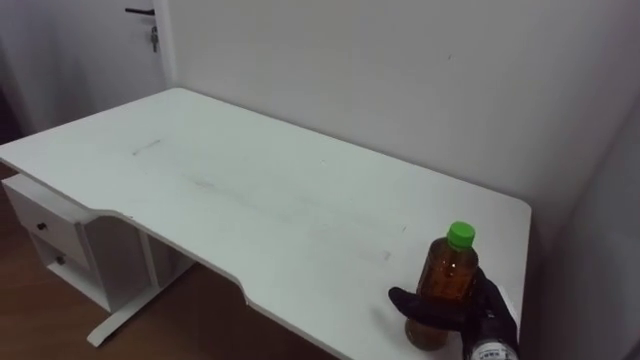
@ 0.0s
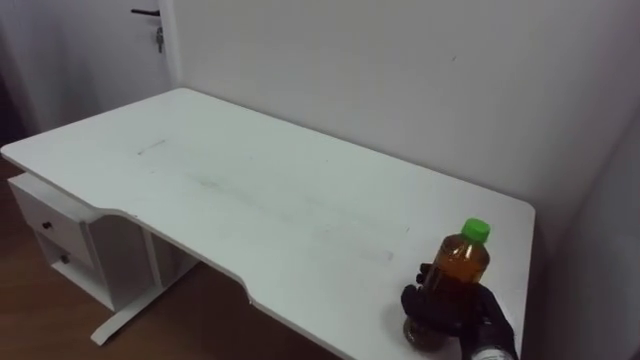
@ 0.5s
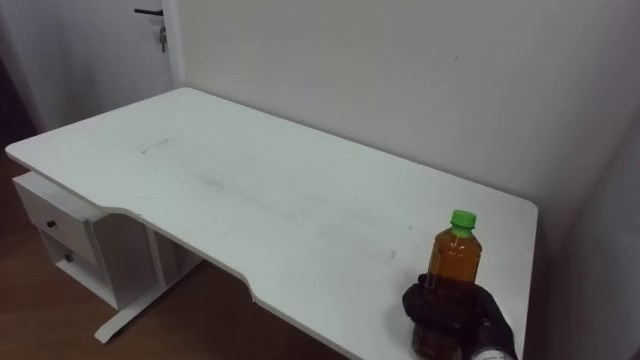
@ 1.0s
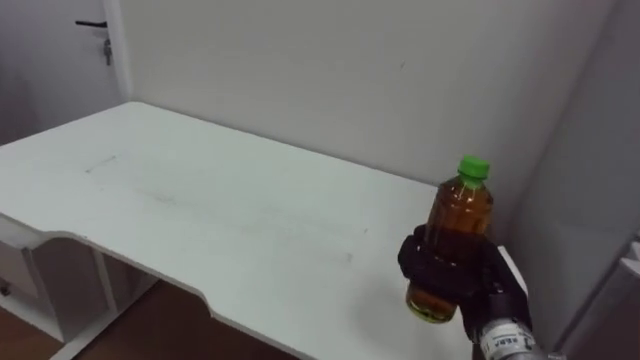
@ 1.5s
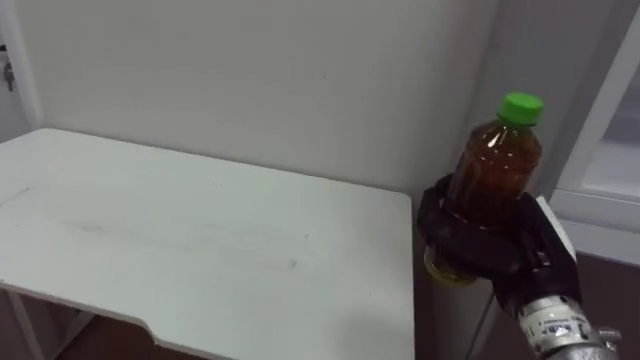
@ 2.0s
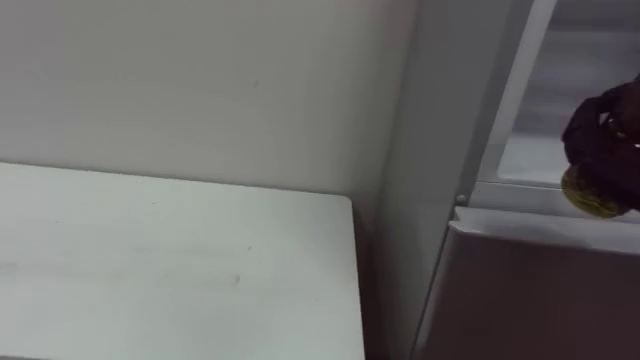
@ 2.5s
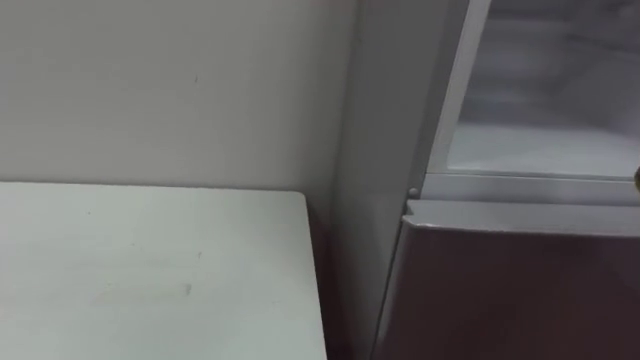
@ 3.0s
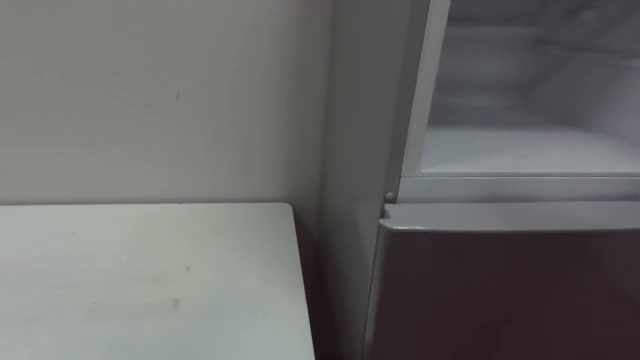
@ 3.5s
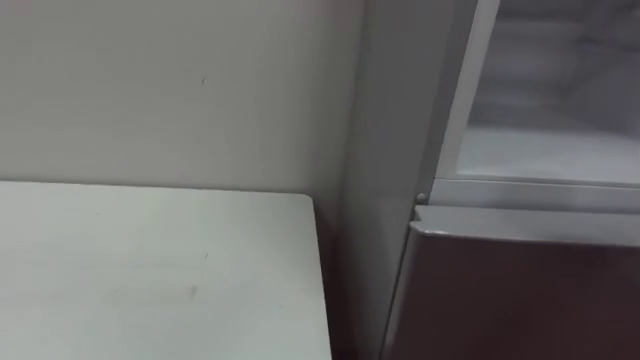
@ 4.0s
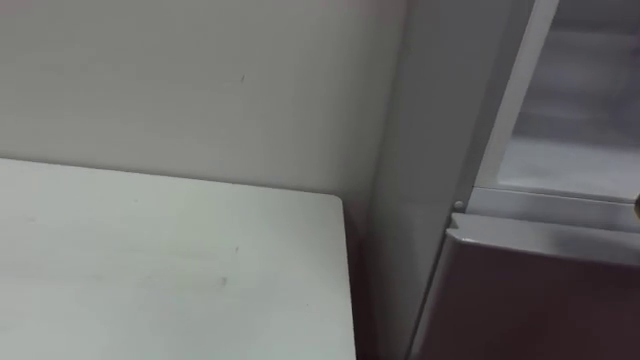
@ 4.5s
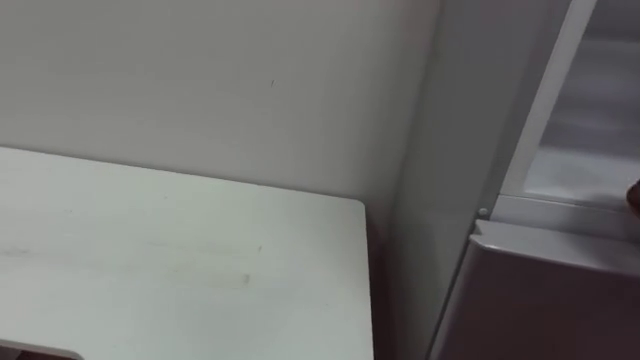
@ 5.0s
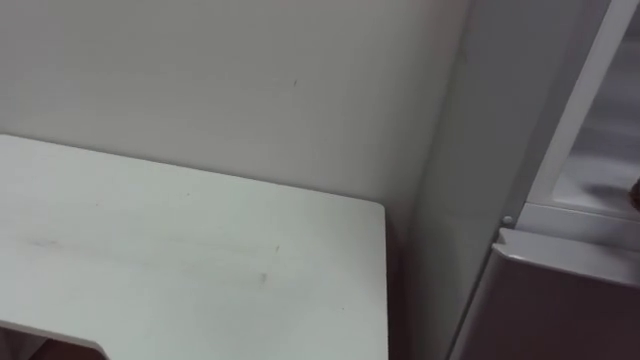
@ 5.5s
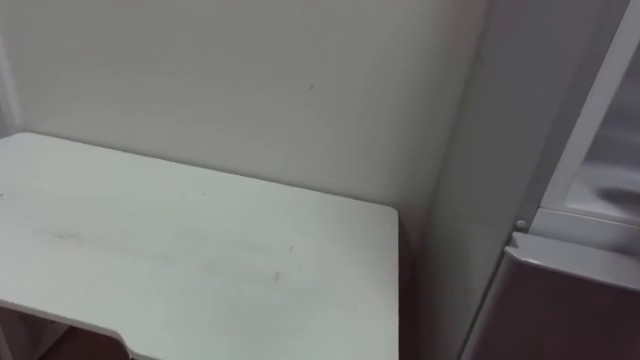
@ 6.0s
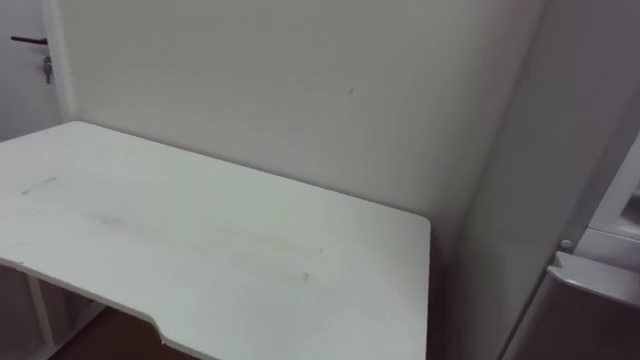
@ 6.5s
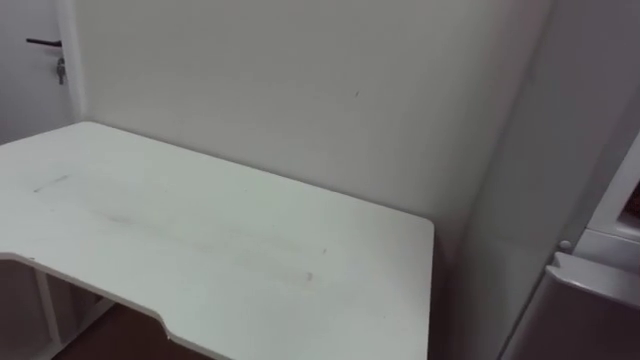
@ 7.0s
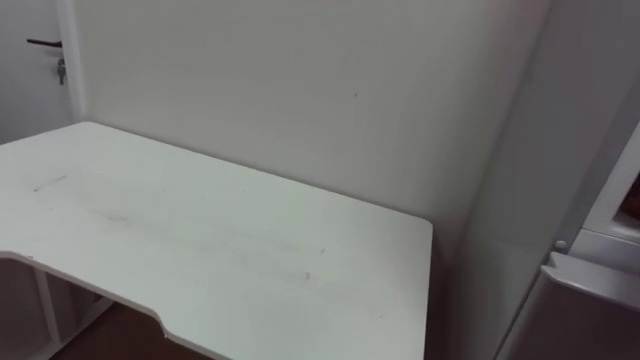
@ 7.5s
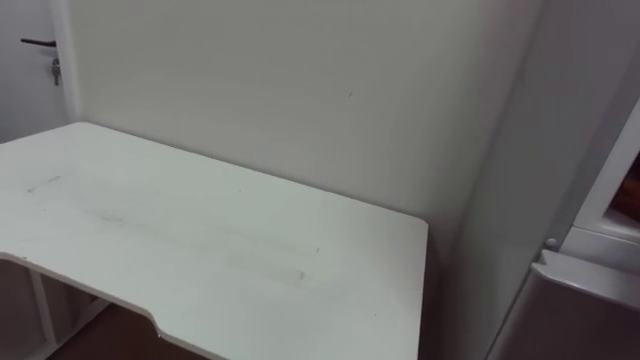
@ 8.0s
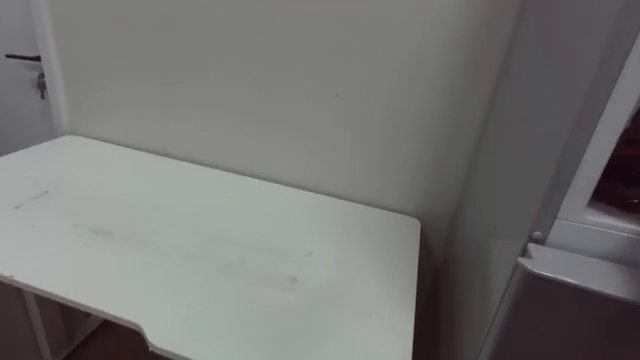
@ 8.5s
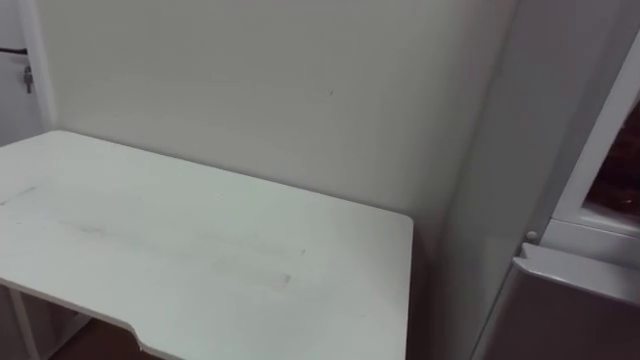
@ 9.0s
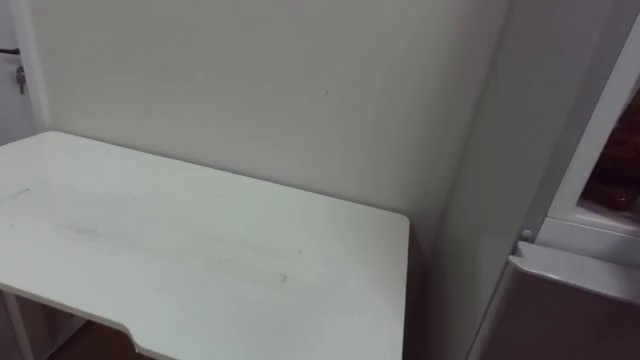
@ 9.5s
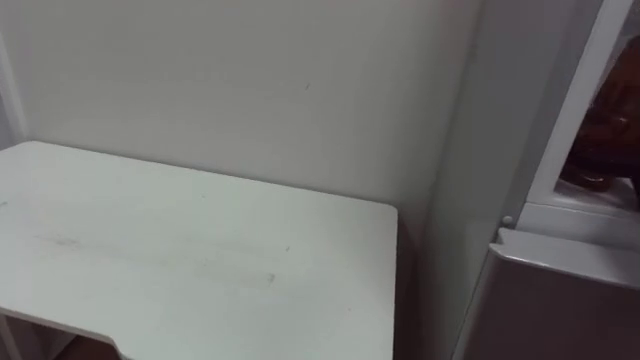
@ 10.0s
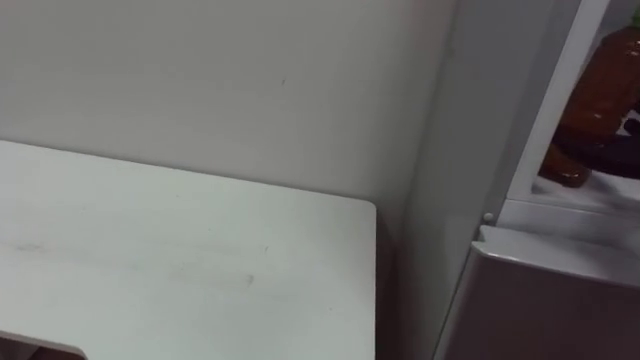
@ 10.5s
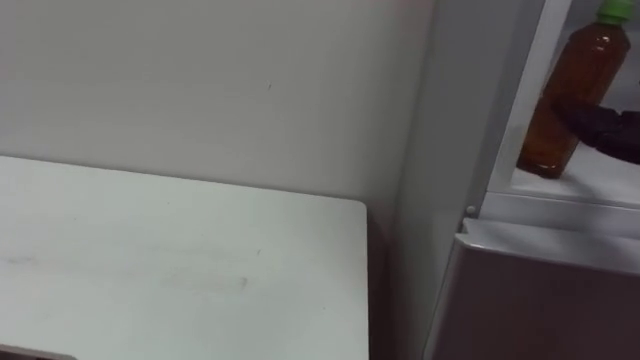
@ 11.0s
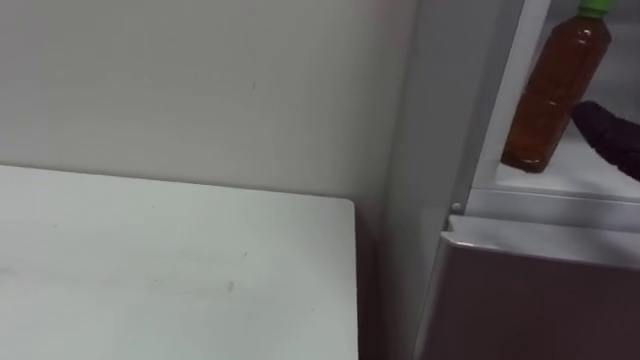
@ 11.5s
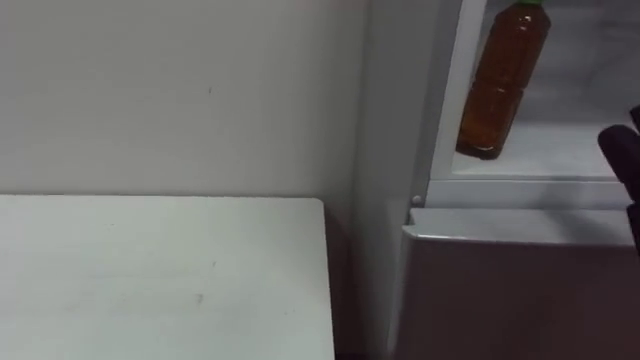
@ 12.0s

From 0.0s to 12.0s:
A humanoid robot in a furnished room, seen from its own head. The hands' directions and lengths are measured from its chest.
Task of the whole recording: Open the upper refrigerator door, put the drink from the table into the refrigerator, and then close the refrigerator door.
From 0.0s to 2.0s: The right hand goes roughly 15 cm upward, and closes up.

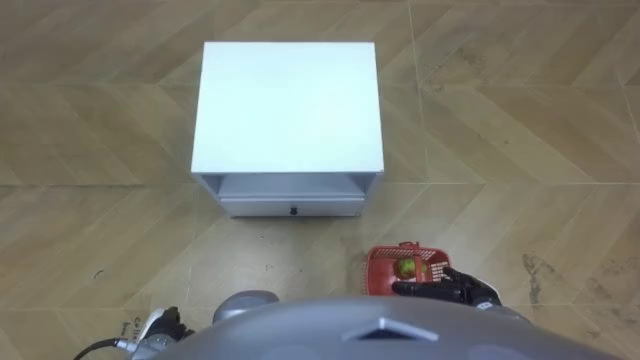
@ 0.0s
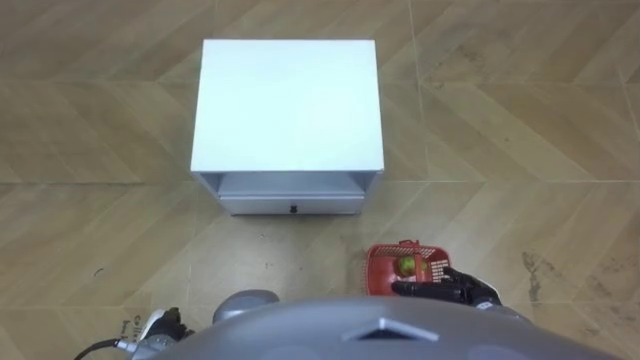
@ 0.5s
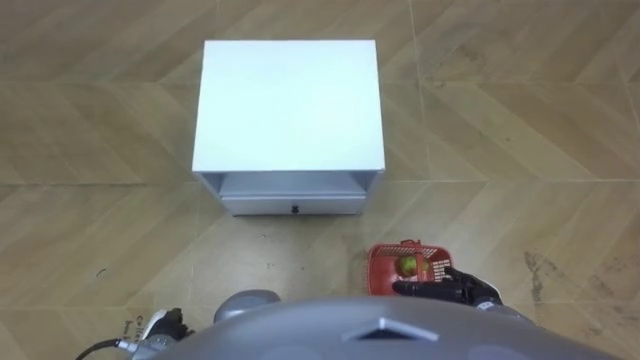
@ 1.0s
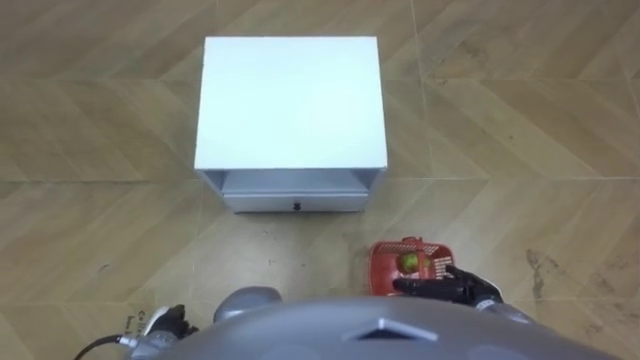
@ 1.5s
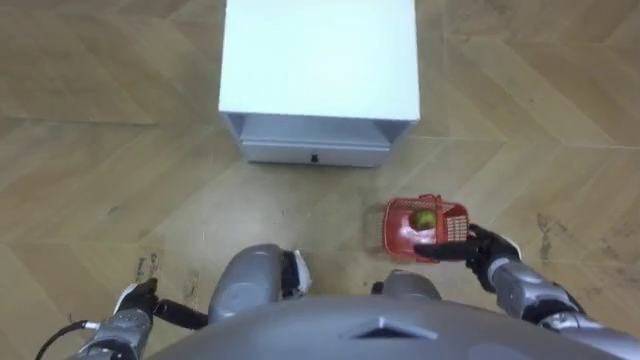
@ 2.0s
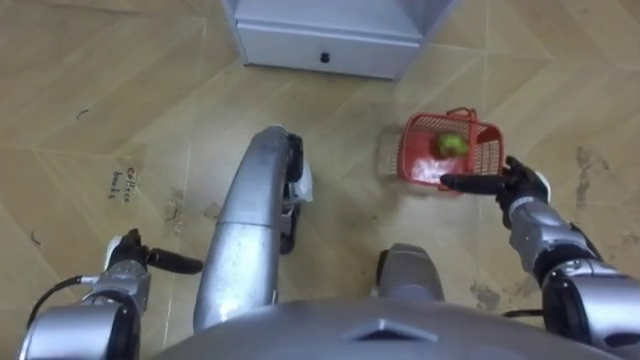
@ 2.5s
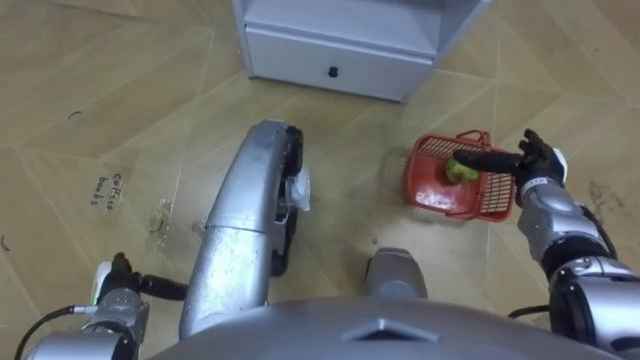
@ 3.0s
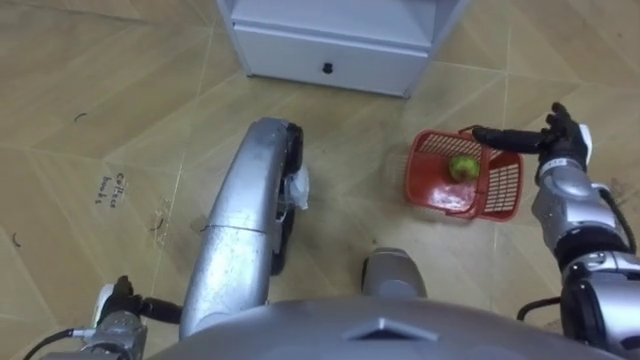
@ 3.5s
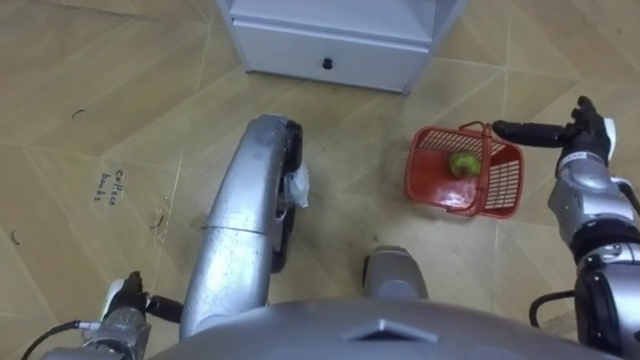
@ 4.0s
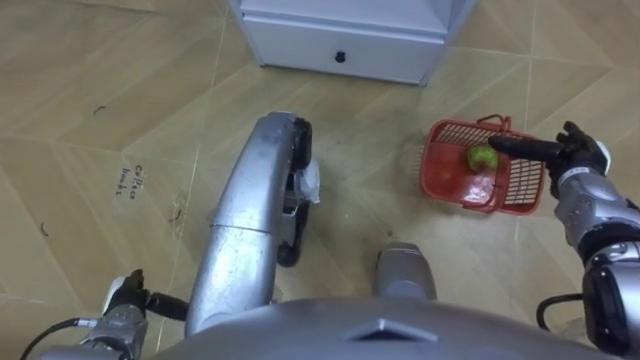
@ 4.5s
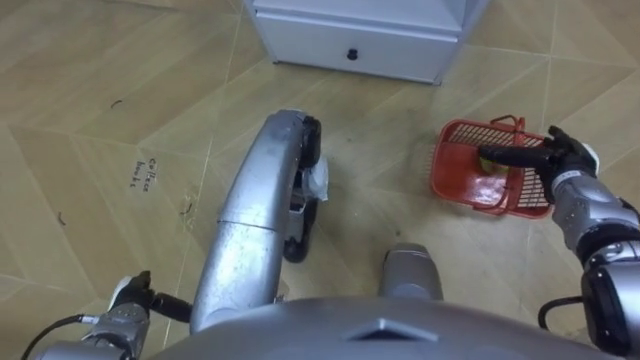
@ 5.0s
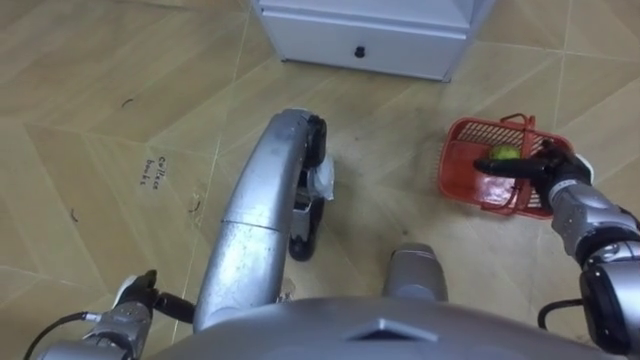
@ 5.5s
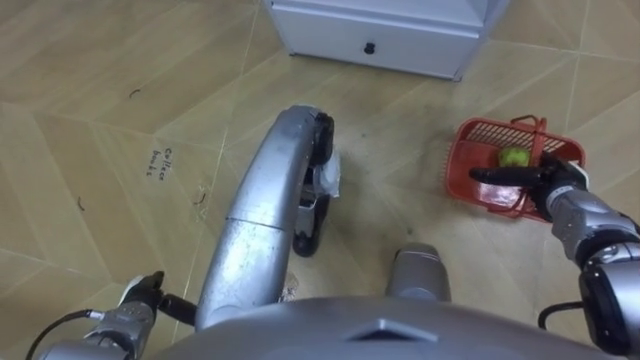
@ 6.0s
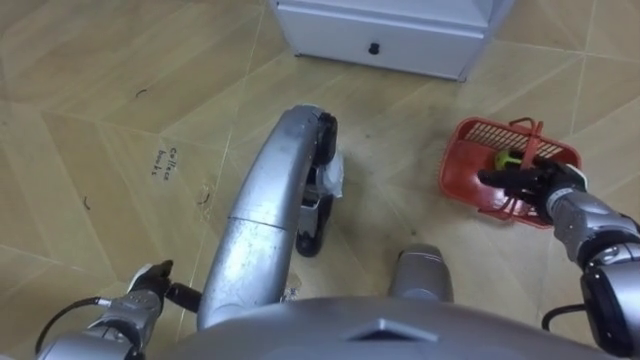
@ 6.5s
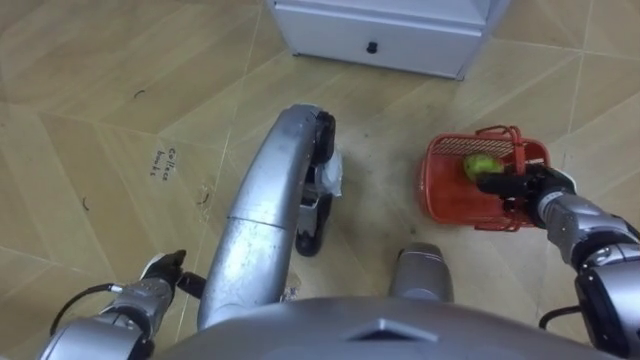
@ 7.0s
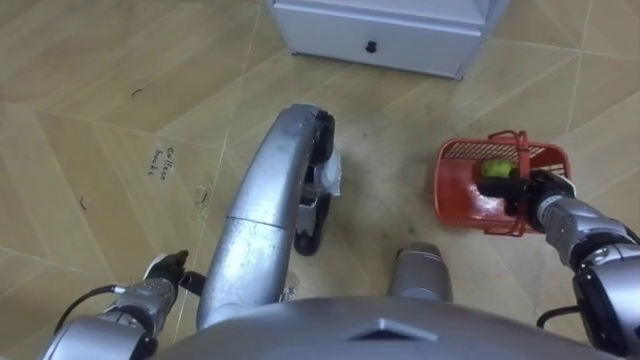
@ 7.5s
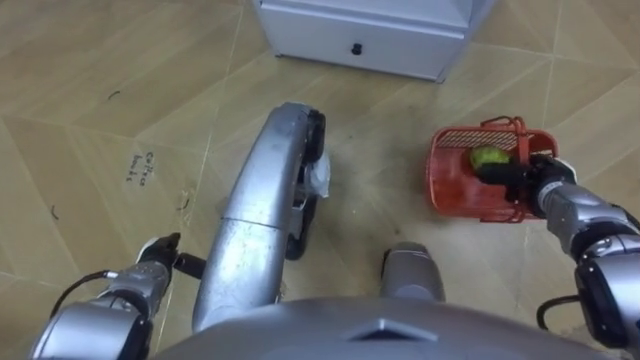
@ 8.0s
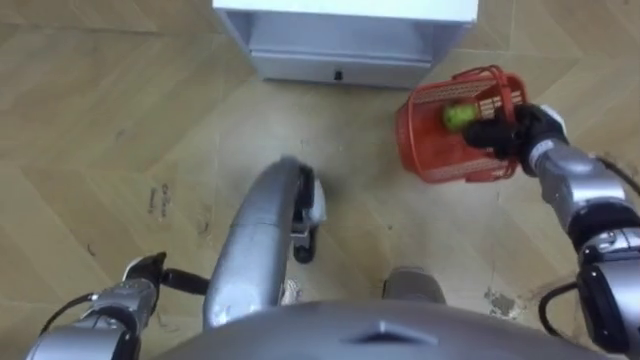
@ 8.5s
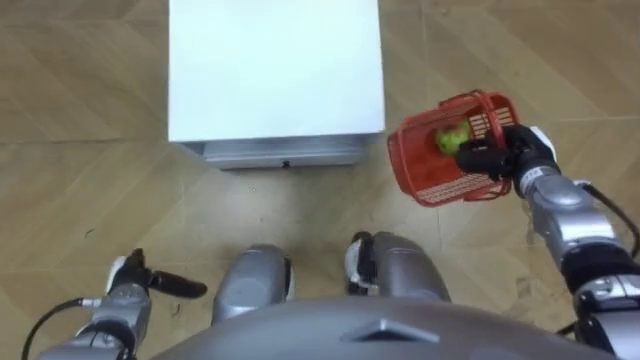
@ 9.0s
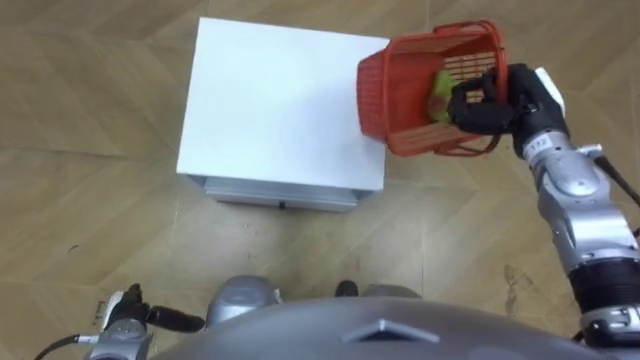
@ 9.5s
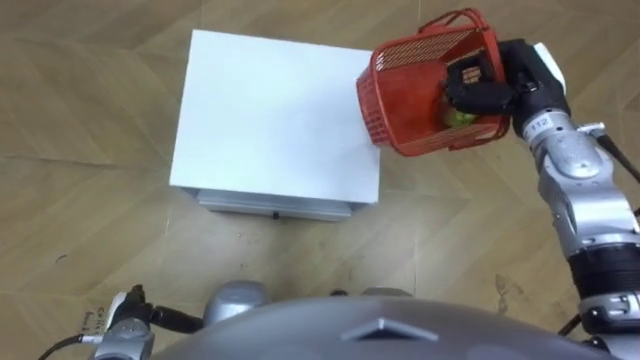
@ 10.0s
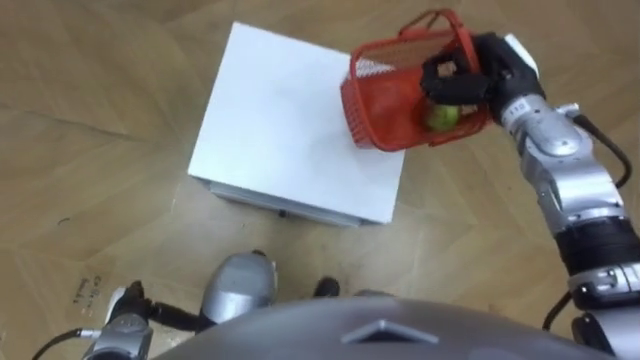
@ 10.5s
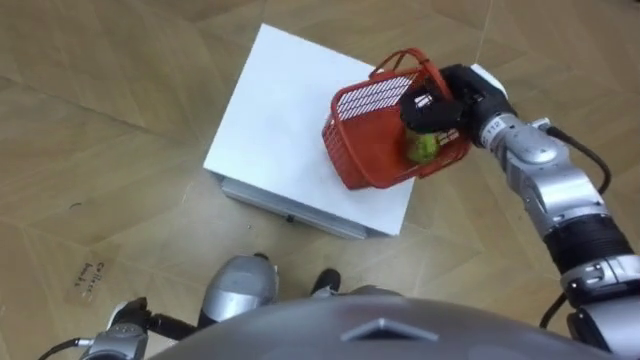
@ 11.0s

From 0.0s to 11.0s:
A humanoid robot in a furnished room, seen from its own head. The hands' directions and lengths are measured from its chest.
Task of the whole recording: Pick up the fruit basket from the floor and place it on the cabinet.
From 2.0s to 3.5s: The right hand goes approximately 20 cm forward, upward and to the right. The left hand reaches about 10 cm forward, then returns.
From 5.5s to 7.5s: The left hand changes place by approximately 5 cm, while the right hand closes its fingers.
From 7.5s to 9.0s: The robot rotates some 15 degrees to its right. The right hand moves about 5 cm, while the left hand changes place by about 5 cm.
From 9.0s to 11.0s: The right hand goes roughly 15 cm to the left, upward and forward. Meanwhile the left hand goes some 5 cm backward.
